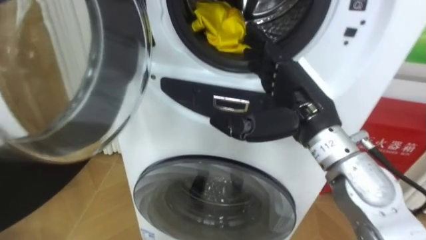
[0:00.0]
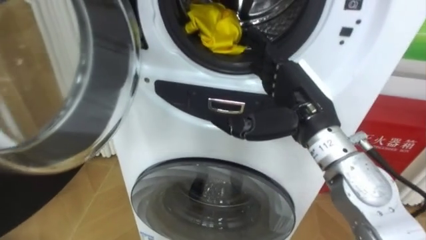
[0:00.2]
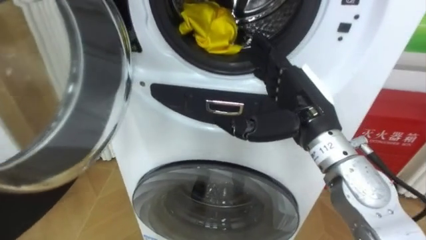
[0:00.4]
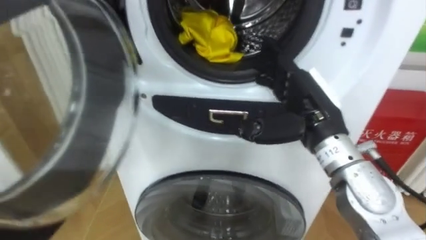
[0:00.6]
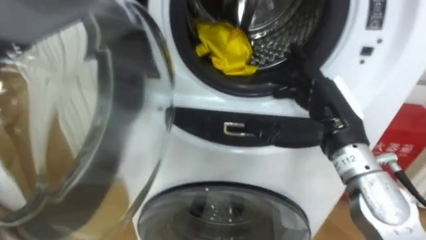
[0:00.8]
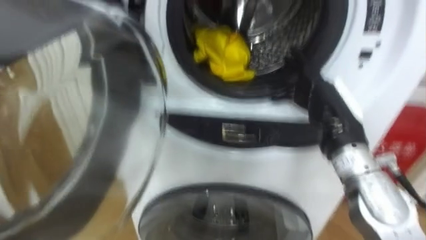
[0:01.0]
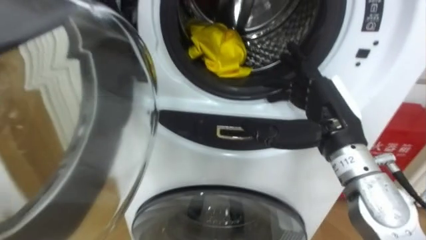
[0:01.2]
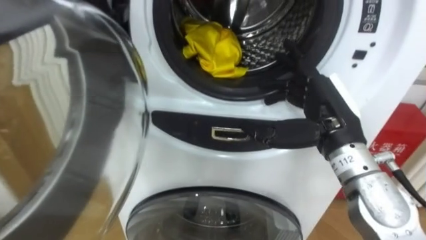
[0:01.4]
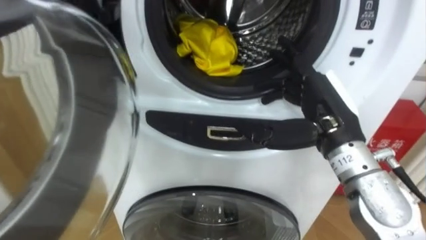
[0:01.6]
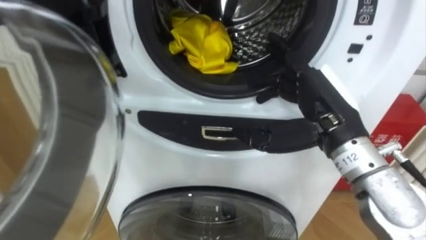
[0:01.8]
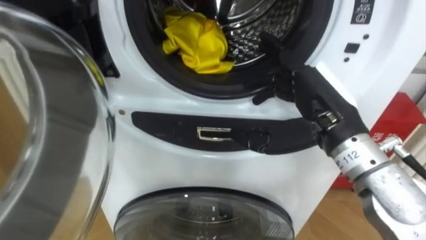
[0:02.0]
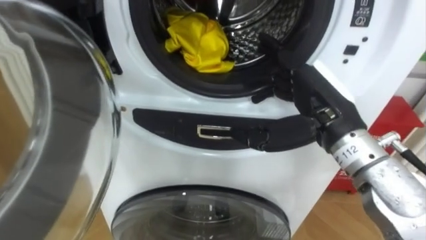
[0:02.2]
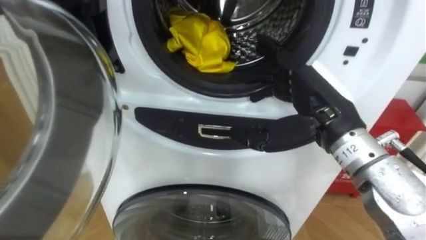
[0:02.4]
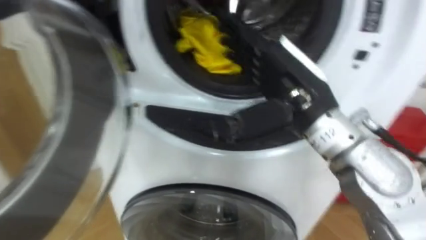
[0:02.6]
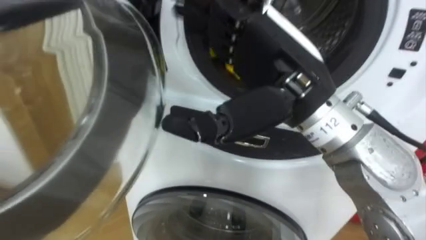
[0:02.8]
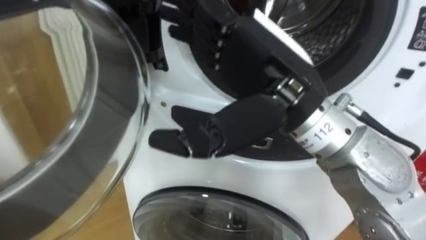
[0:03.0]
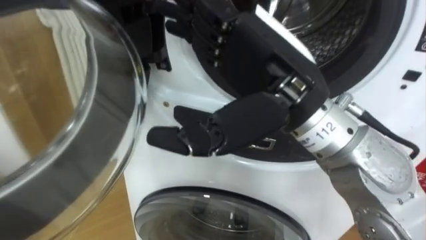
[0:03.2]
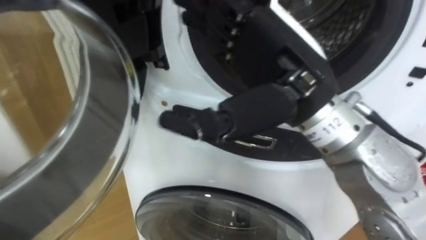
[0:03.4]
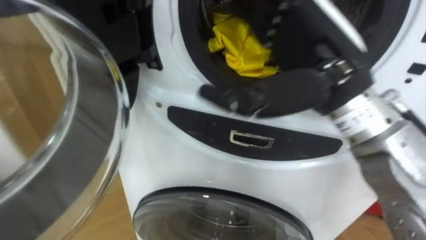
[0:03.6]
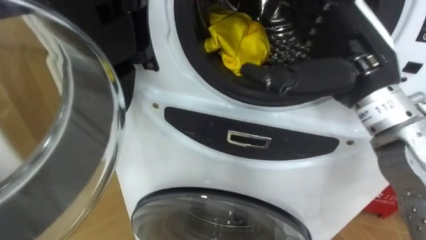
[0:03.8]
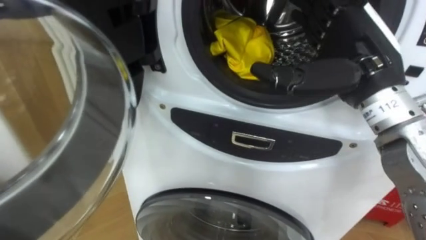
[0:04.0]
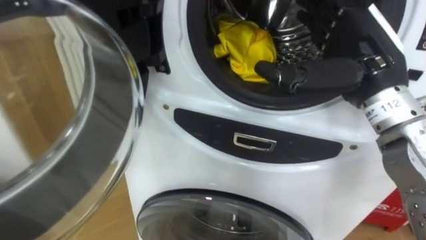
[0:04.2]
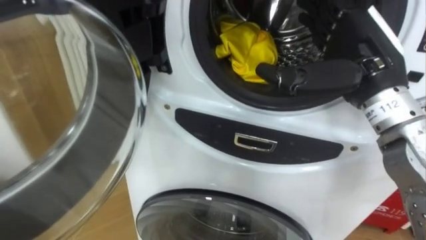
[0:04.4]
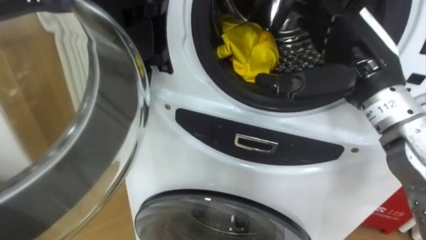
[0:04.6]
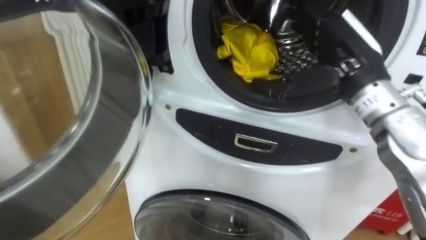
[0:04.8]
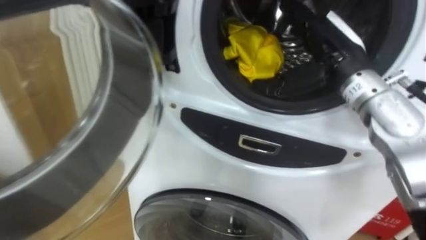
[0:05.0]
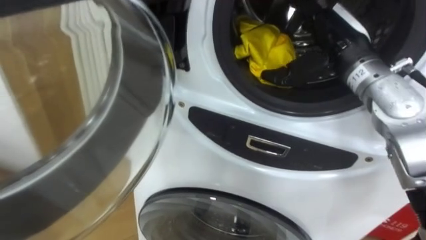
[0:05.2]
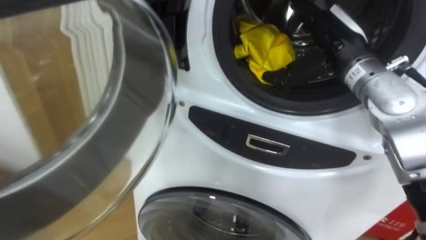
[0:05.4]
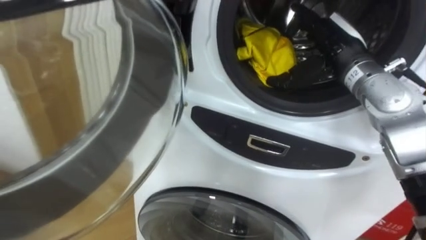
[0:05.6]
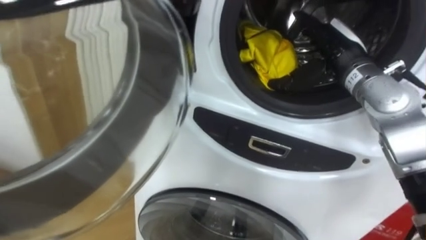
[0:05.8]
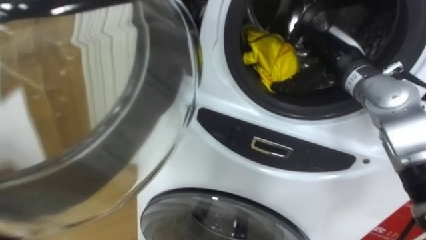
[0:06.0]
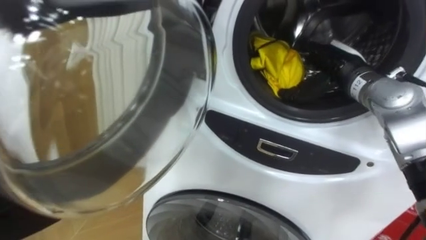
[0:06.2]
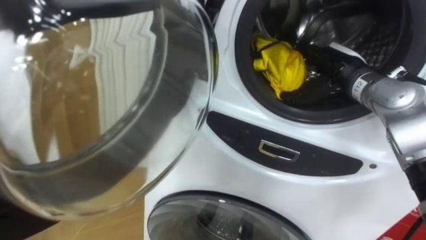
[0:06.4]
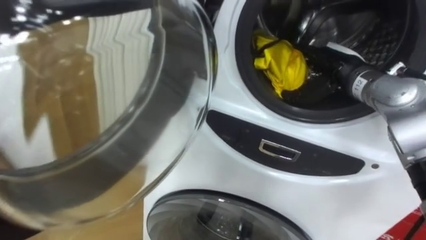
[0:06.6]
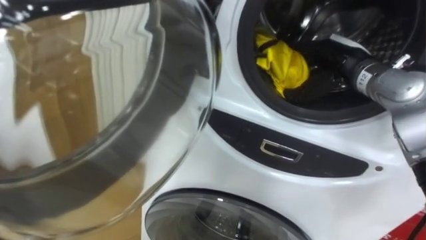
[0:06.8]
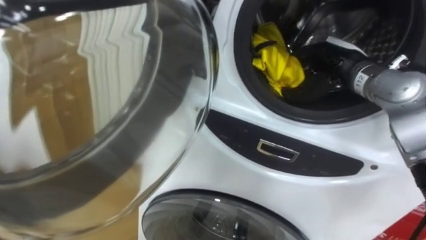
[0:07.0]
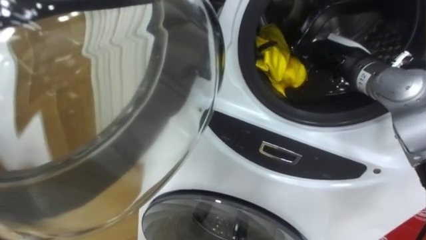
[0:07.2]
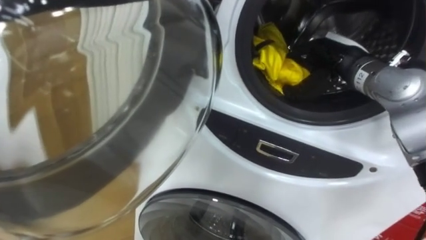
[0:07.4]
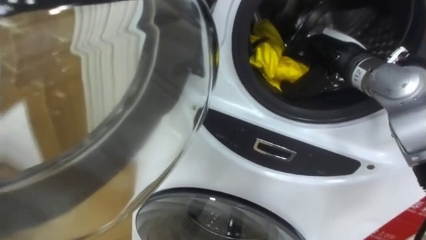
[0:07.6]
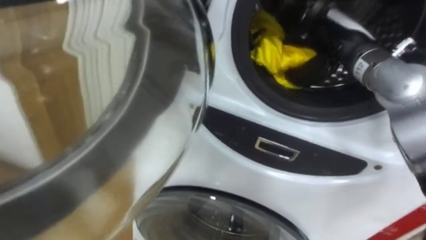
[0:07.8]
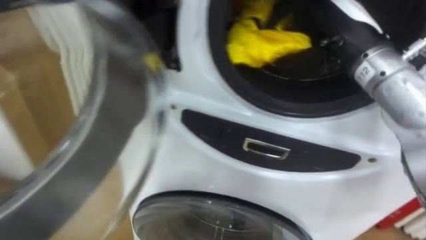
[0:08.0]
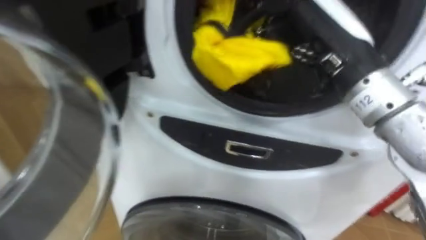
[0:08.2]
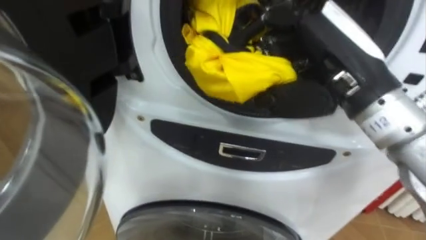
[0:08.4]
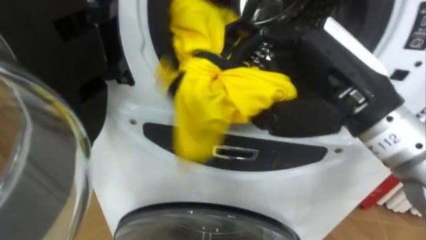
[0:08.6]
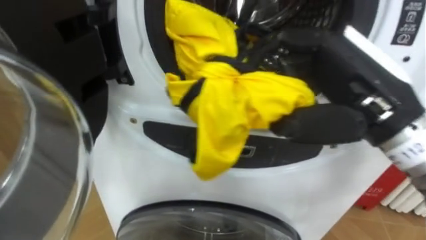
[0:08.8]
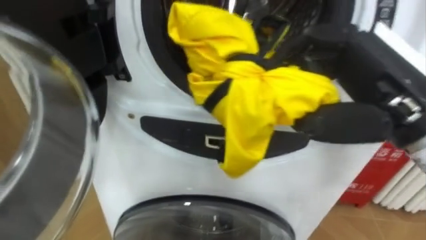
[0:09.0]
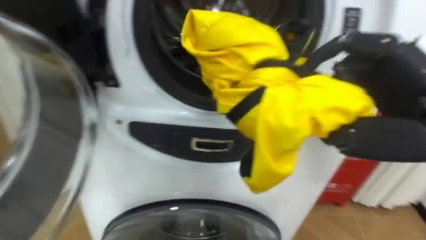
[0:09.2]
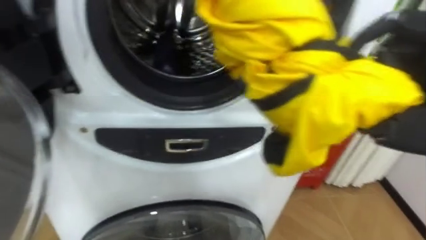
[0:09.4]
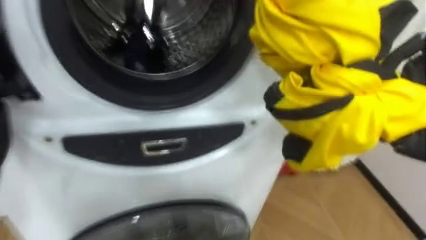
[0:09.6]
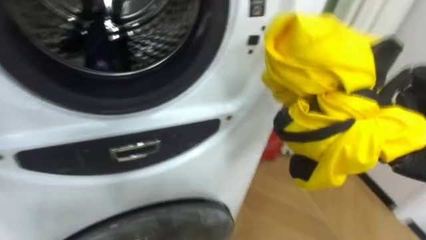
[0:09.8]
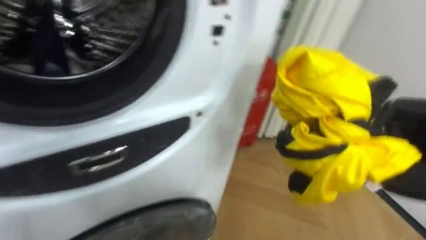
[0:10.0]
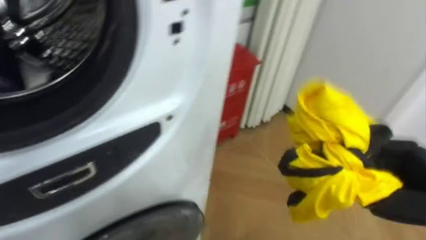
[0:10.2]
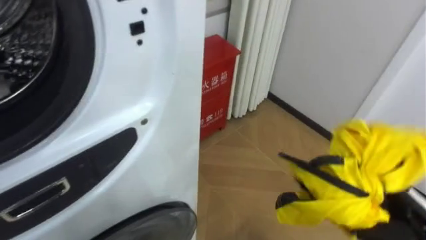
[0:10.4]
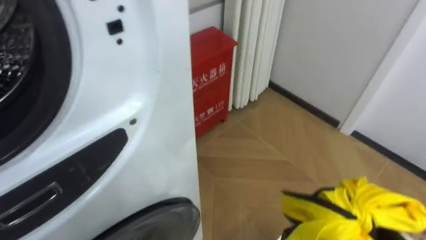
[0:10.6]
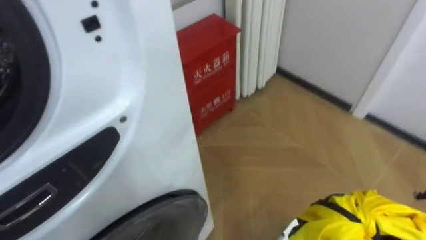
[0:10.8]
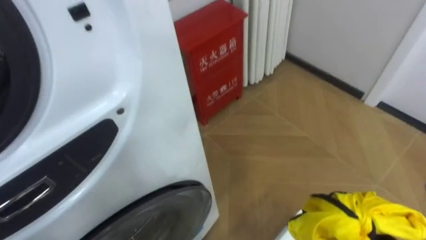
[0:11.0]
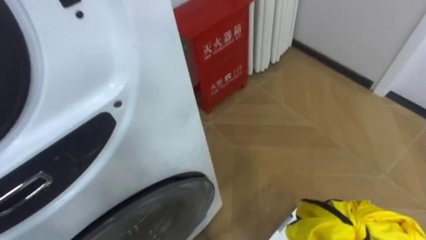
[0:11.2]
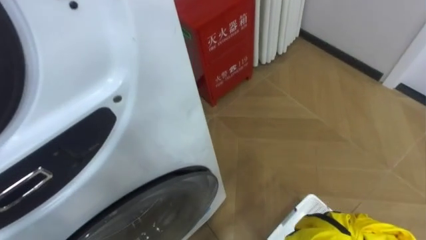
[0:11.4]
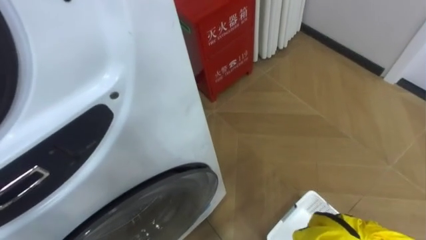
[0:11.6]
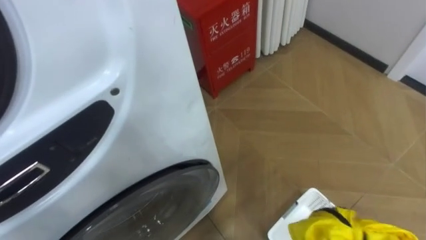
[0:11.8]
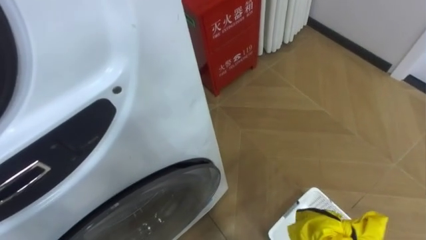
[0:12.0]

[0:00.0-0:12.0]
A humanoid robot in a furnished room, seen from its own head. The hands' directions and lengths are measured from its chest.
Task of the whole recording: Open the washing machine door, take out the yellow clothes, place them in the box on the right, and close the washing machine door.
0:01.6 to 0:03.0: The right hand moves to the left, upward and backward, about 15 cm.
0:03.0 to 0:04.4: The right hand shifts about 15 cm to the right and forward.
0:04.4 to 0:06.0: The right hand shifts some 10 cm forward and downward.
0:06.0 to 0:07.6: The right hand closes.
0:07.6 to 0:09.0: The right hand heads backward, covering about 15 cm.
0:09.0 to 0:10.4: The robot faces approximately 30 degrees further to its right.

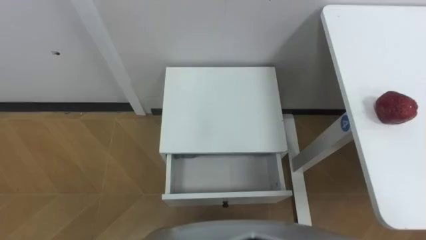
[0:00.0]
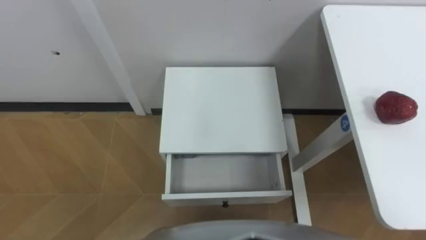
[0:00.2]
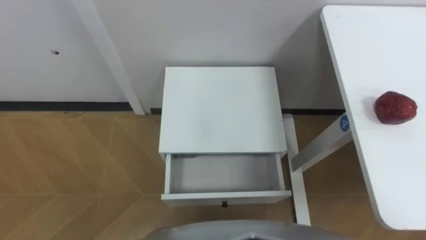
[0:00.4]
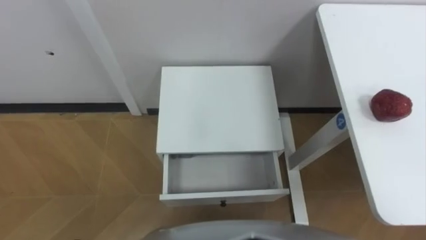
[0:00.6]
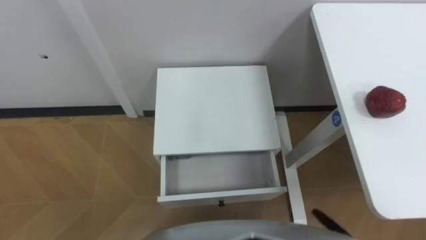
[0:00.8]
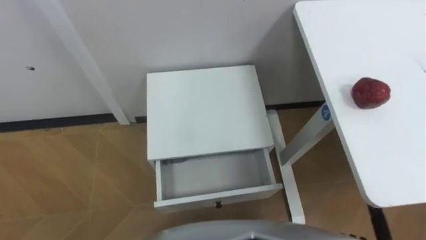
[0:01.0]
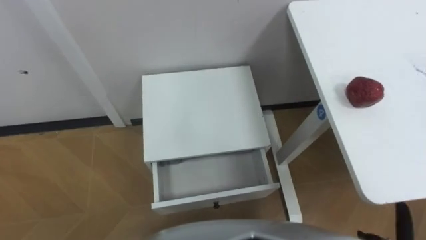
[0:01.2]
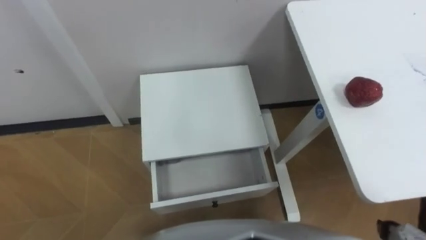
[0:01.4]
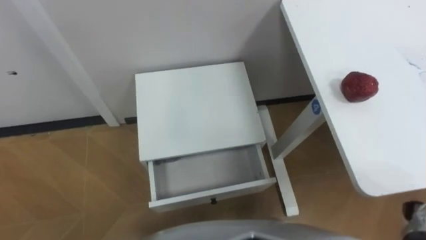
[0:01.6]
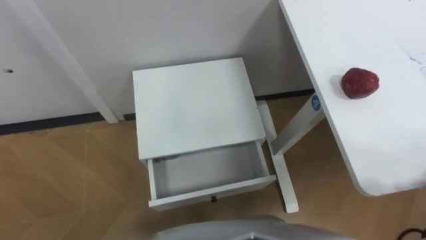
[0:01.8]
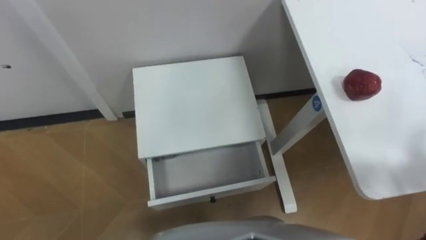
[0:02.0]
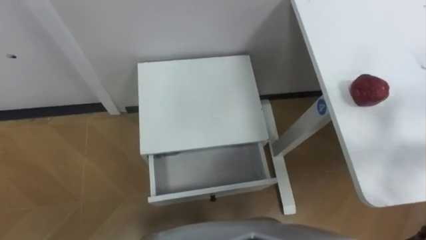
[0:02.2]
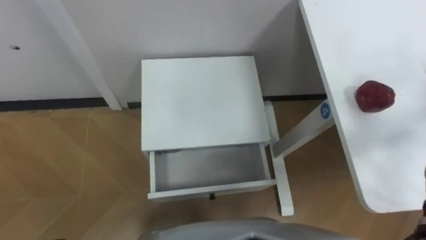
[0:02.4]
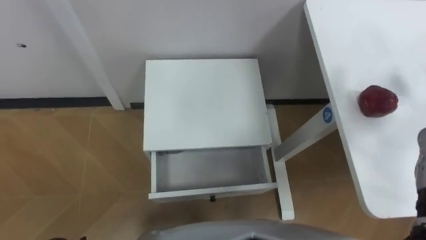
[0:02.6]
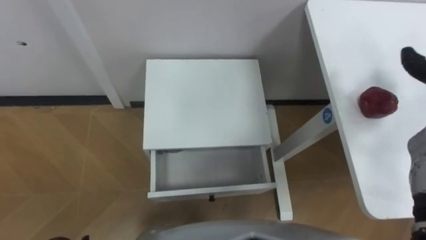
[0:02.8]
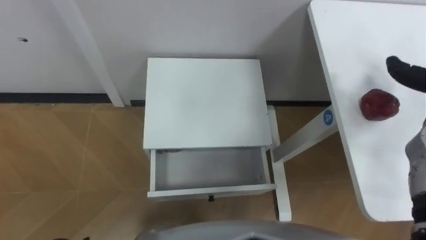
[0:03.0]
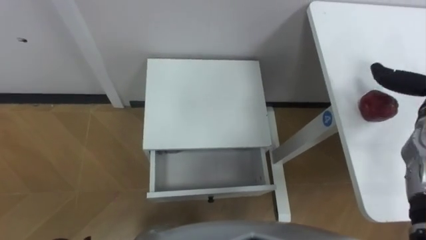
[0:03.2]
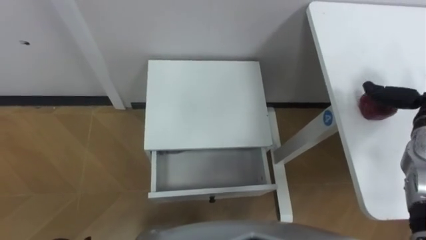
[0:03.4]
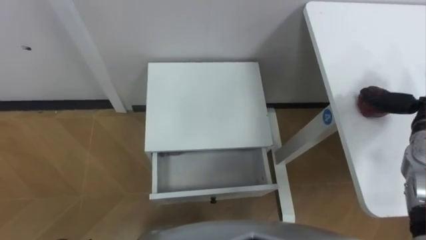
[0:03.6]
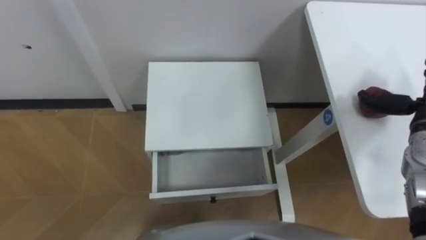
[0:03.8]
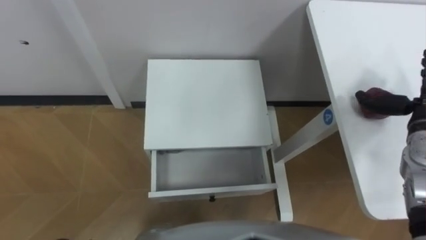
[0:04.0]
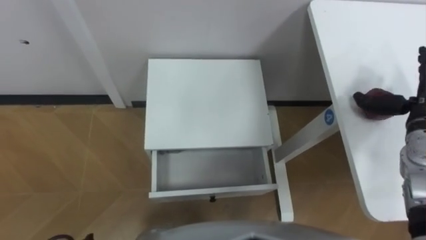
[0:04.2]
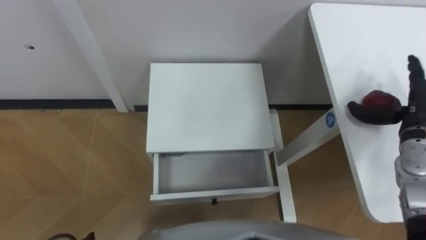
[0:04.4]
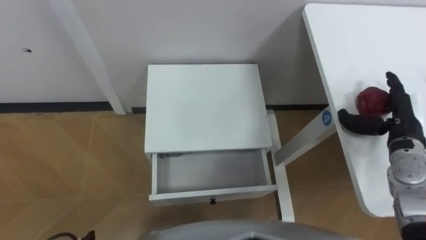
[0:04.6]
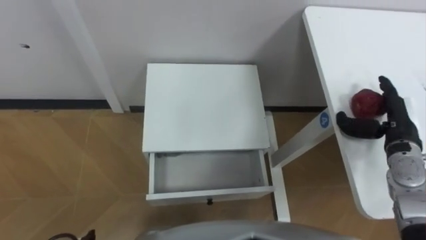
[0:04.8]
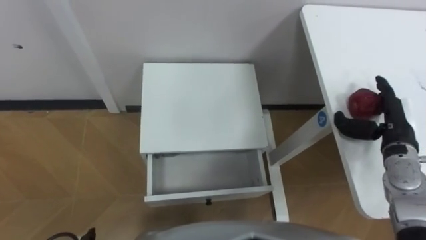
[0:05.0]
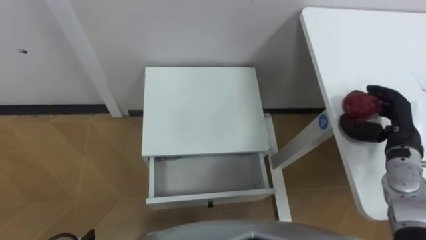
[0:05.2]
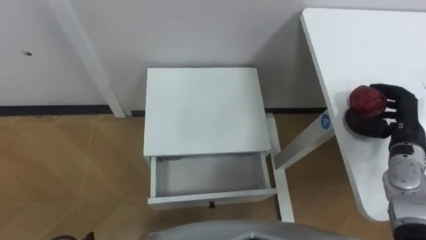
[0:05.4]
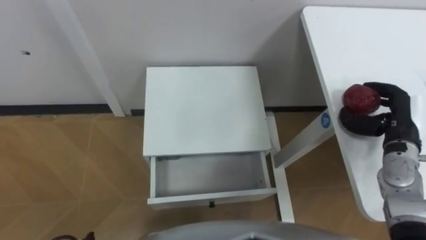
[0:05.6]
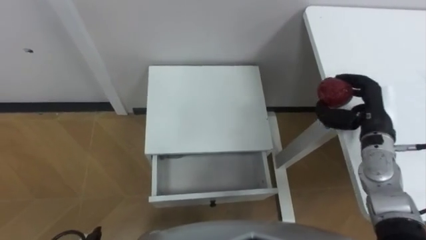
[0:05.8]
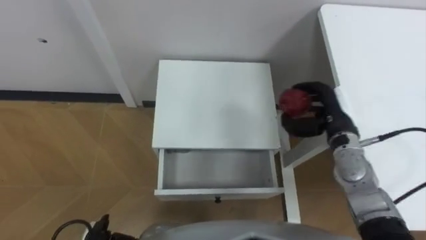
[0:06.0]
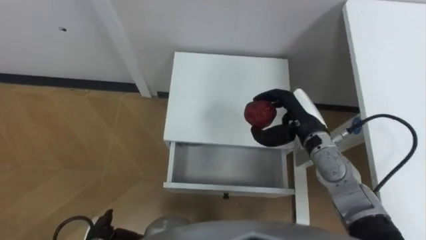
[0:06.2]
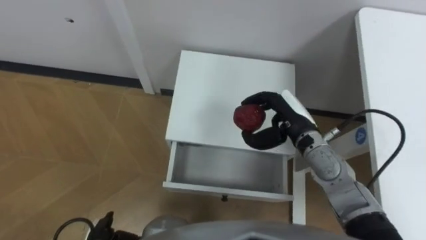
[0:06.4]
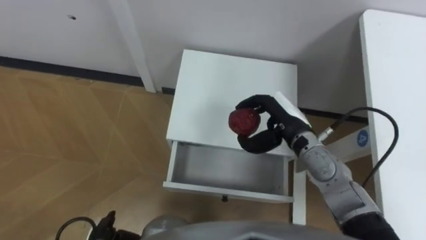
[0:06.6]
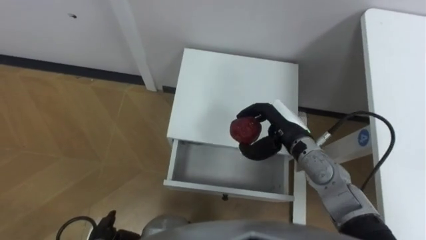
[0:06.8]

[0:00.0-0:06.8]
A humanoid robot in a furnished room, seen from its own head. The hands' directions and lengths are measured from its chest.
Task of the whole recording: Pick up the apple from the table, put it in the drawer, and close the drawer with leg.
0:04.0 to 0:05.4: The right hand changes place by some 5 cm, and closes its fingers.
0:05.4 to 0:06.8: The right hand moves to the left, roughly 20 cm.
